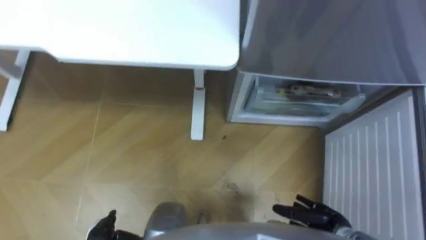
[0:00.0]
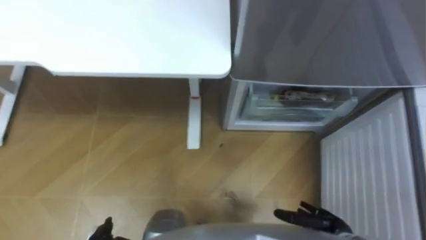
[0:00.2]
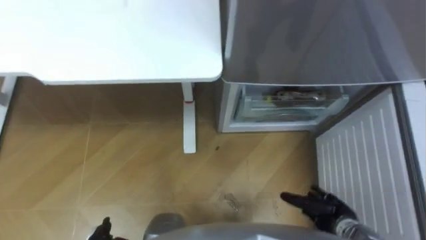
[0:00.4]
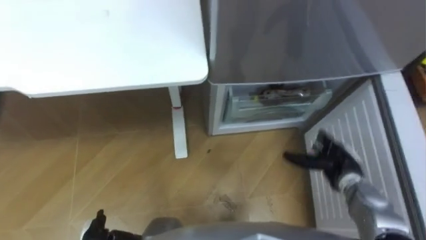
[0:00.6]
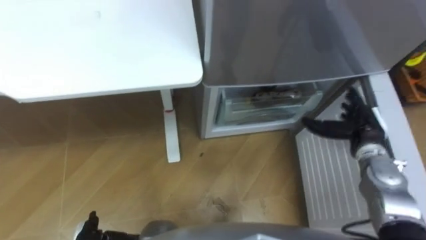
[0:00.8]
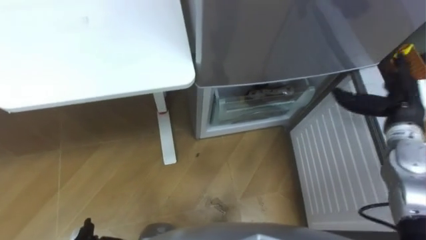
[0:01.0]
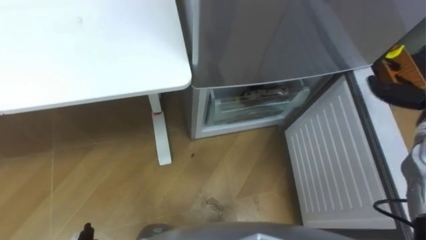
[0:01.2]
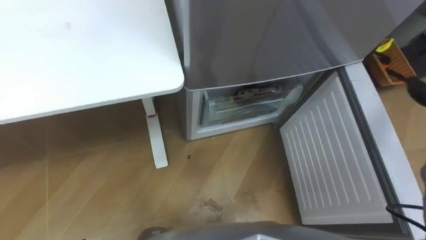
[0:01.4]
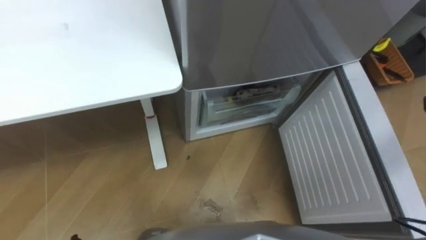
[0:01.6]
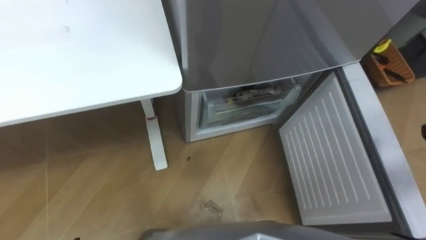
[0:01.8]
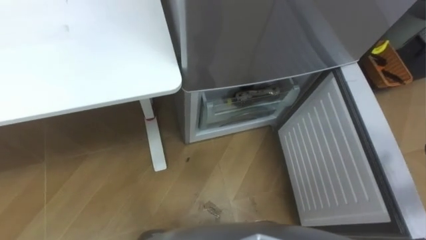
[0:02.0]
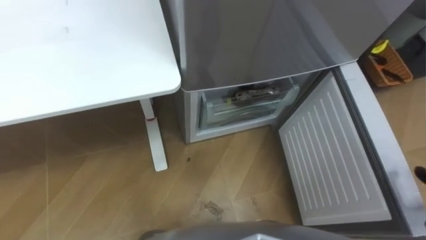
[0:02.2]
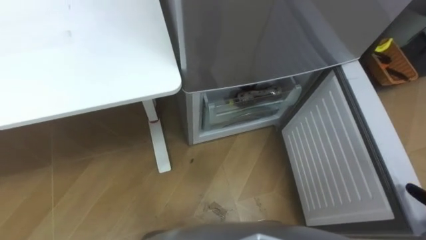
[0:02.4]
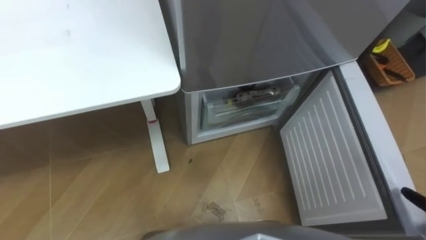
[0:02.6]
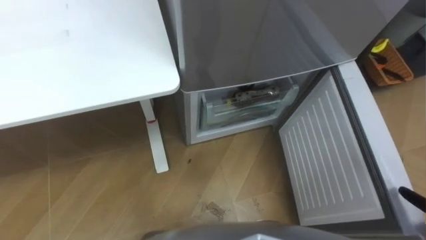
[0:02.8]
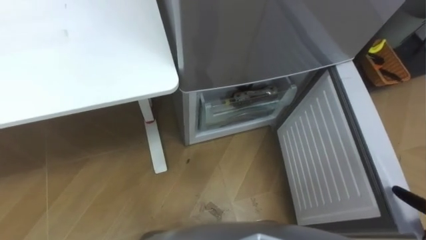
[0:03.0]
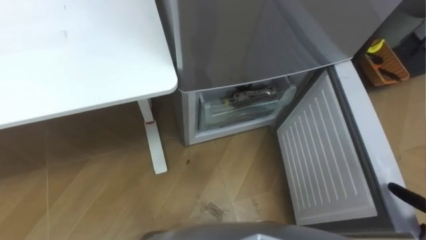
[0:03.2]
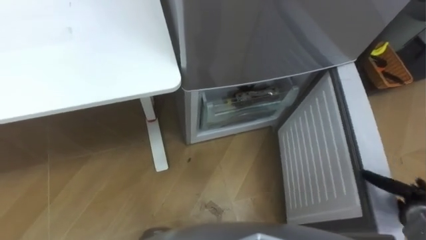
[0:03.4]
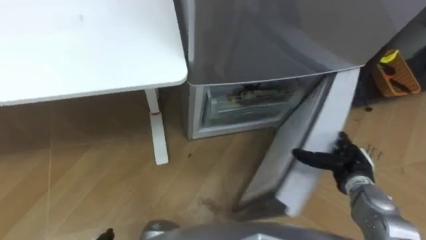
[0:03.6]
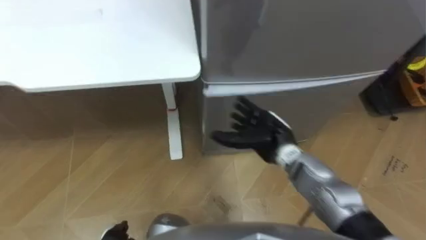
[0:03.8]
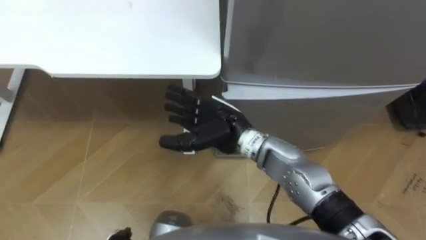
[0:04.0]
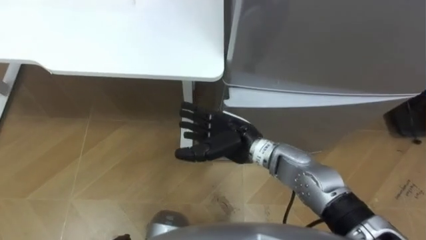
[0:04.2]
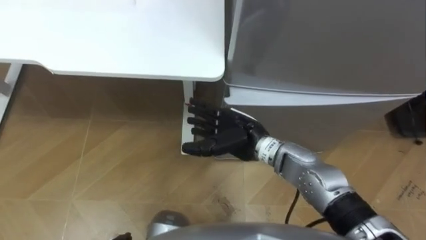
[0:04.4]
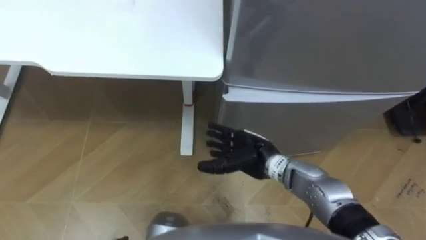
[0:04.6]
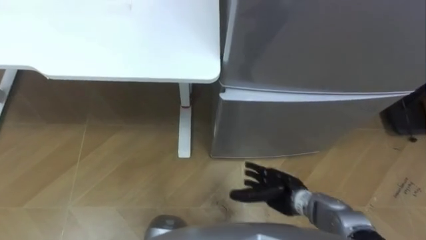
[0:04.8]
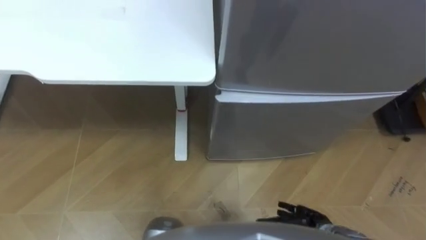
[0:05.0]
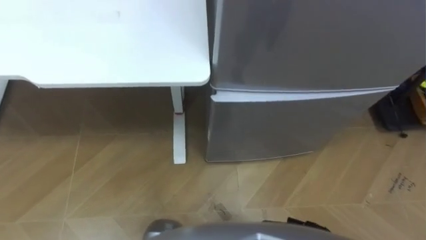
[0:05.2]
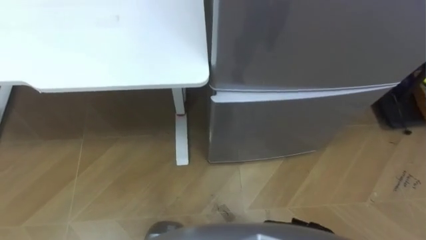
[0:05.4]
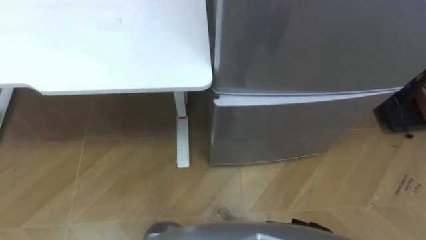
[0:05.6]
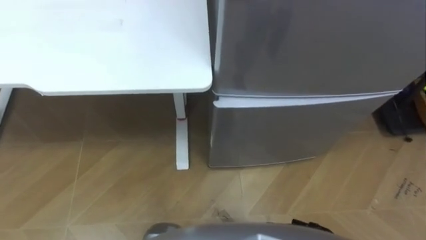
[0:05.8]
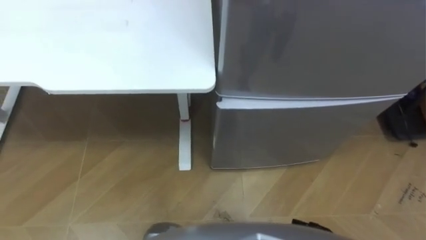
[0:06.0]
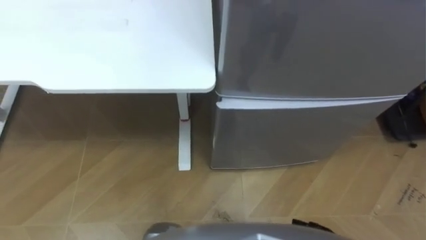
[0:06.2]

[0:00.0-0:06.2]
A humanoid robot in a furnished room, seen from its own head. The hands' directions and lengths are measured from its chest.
Task of the whole recording: Place the drink on the table on the bottom shelf of the refrigerator, then close the drawer and the refrigerator door.
0:03.2 to 0:04.6: The right hand travels to the left and forward by approximately 40 cm.

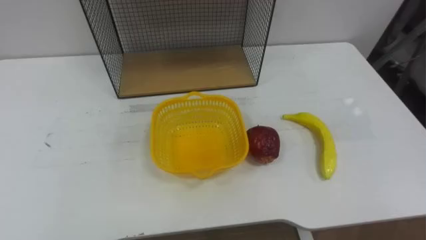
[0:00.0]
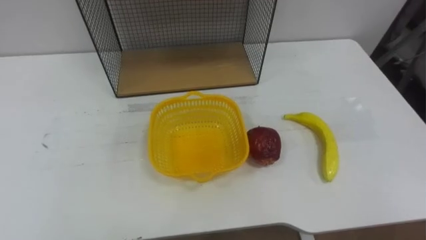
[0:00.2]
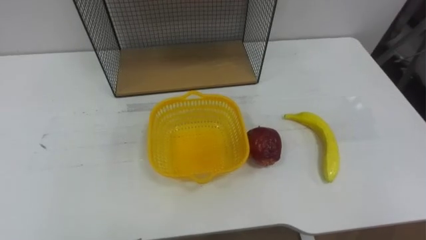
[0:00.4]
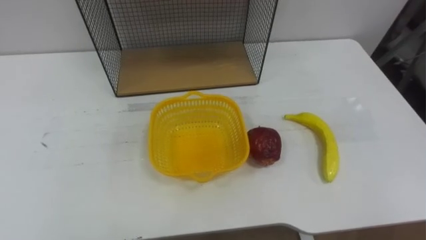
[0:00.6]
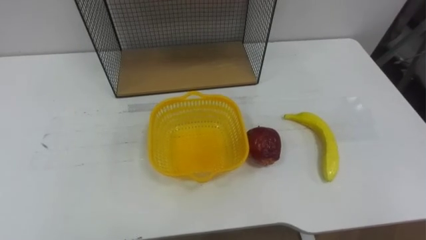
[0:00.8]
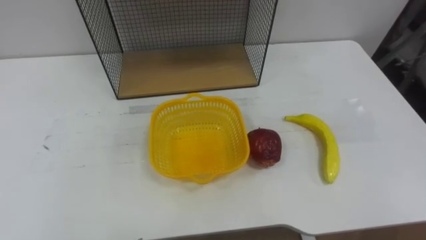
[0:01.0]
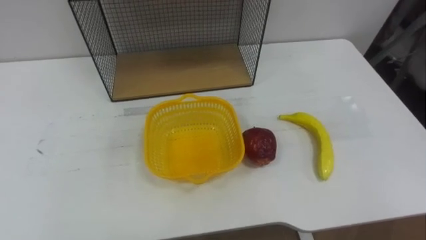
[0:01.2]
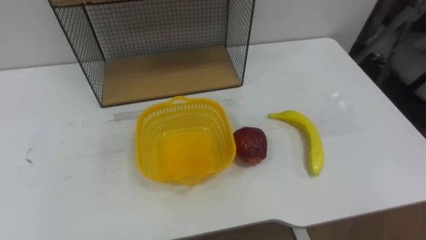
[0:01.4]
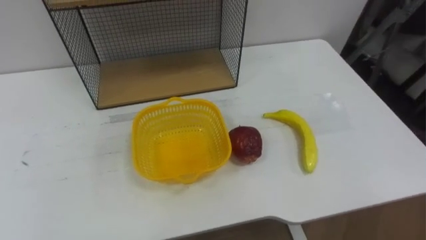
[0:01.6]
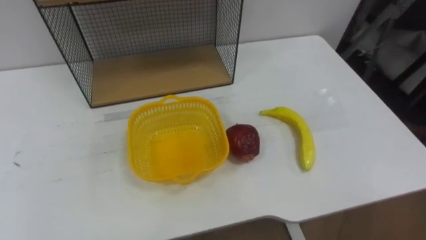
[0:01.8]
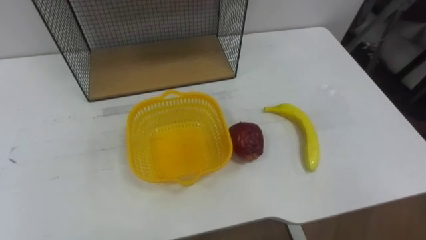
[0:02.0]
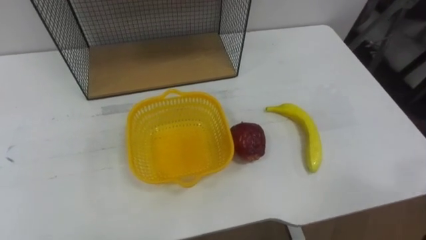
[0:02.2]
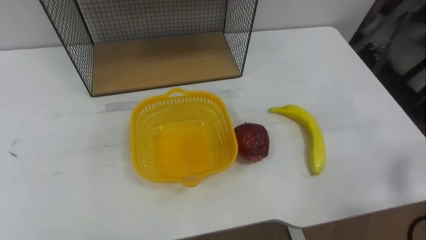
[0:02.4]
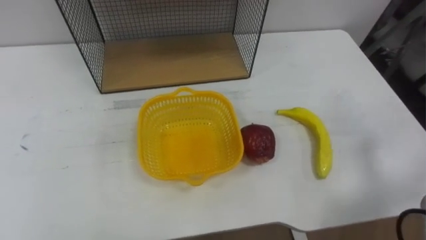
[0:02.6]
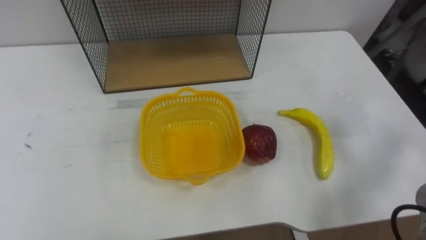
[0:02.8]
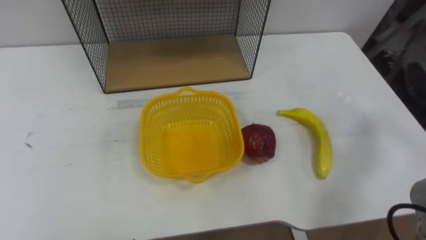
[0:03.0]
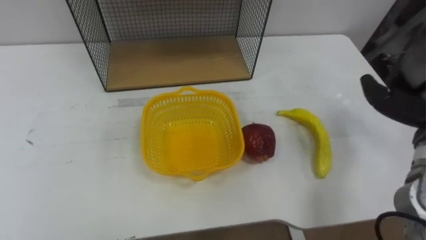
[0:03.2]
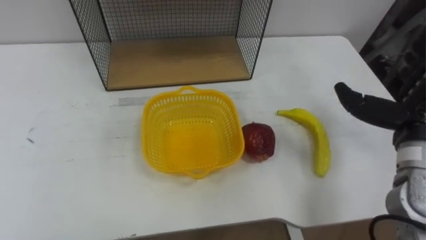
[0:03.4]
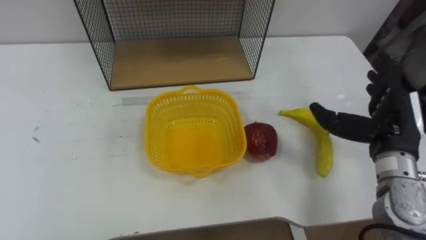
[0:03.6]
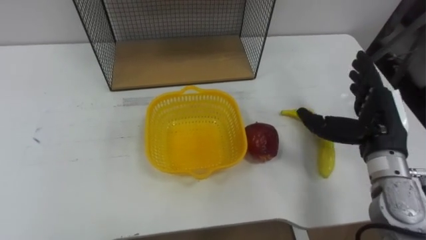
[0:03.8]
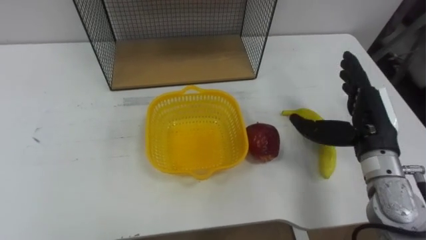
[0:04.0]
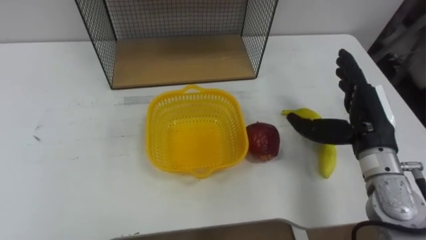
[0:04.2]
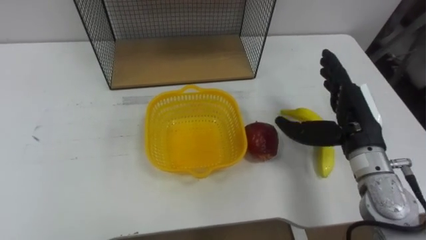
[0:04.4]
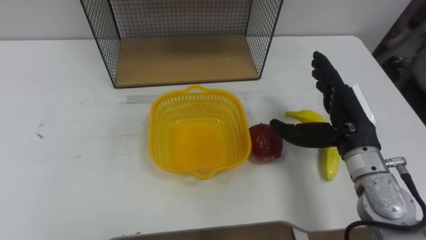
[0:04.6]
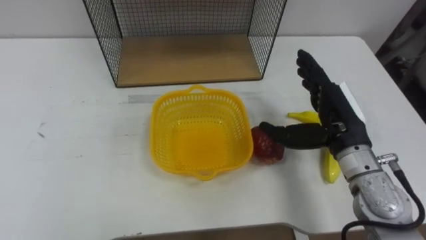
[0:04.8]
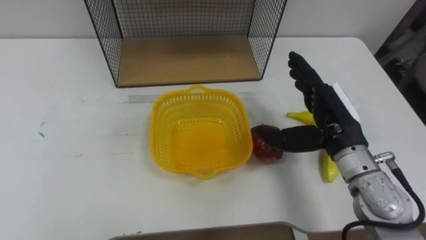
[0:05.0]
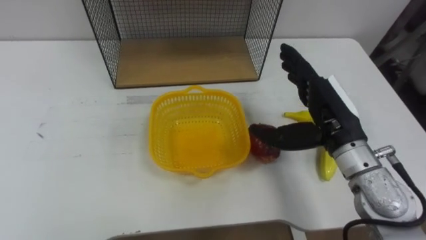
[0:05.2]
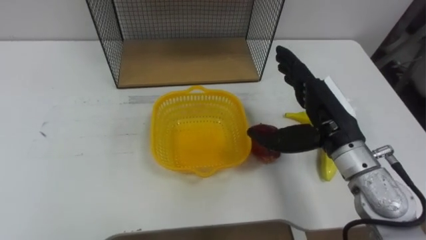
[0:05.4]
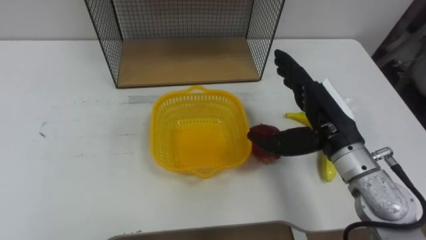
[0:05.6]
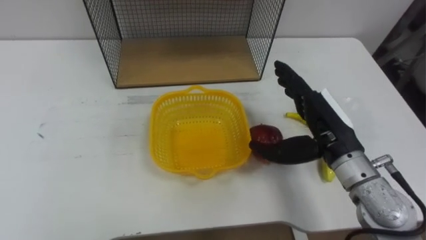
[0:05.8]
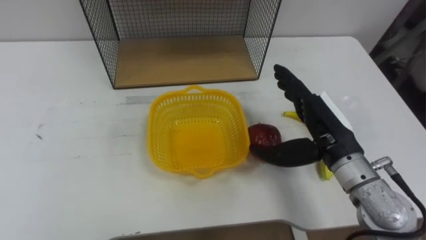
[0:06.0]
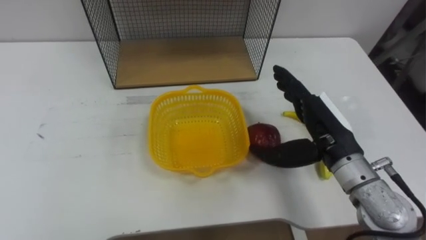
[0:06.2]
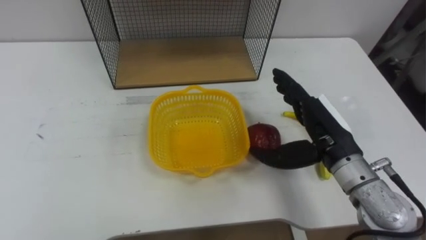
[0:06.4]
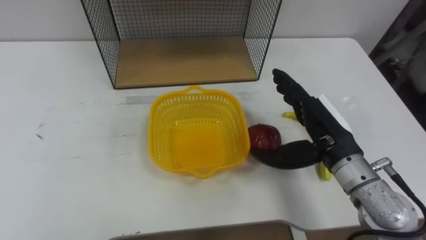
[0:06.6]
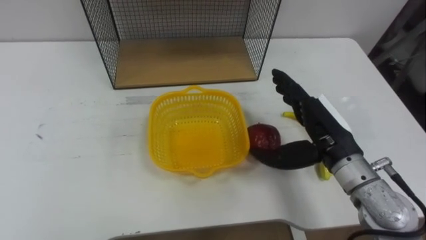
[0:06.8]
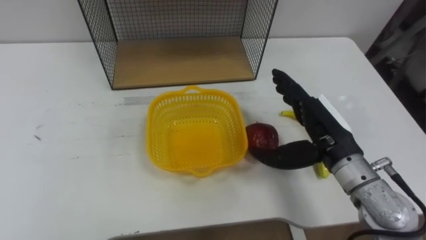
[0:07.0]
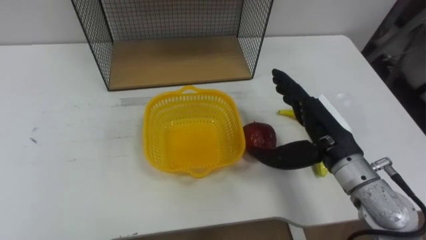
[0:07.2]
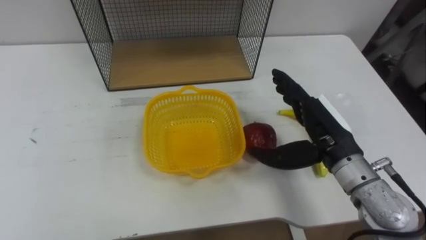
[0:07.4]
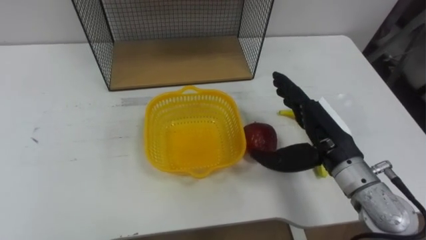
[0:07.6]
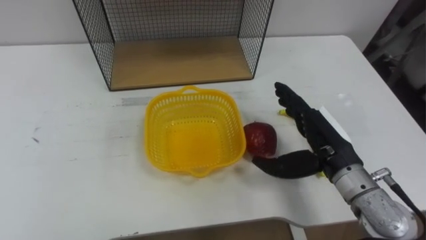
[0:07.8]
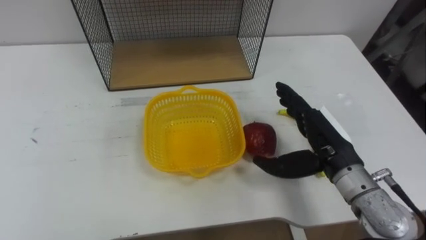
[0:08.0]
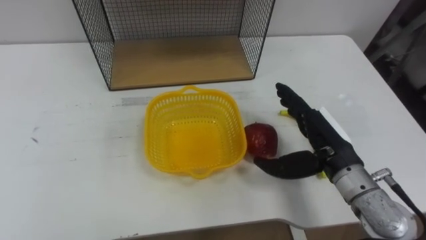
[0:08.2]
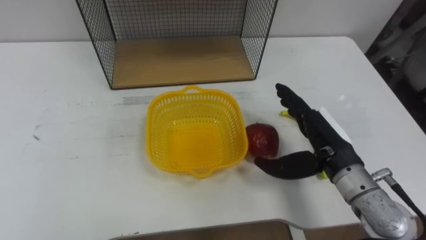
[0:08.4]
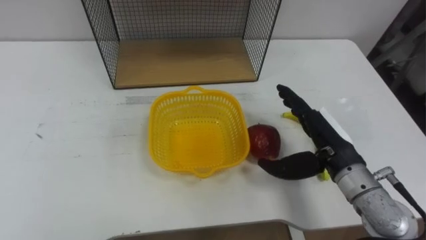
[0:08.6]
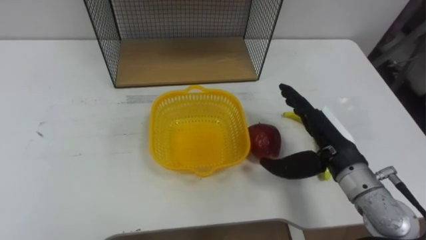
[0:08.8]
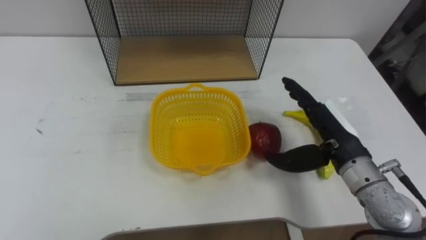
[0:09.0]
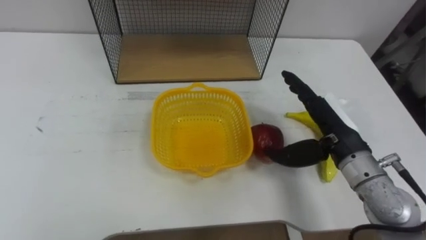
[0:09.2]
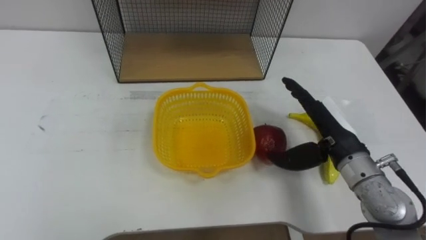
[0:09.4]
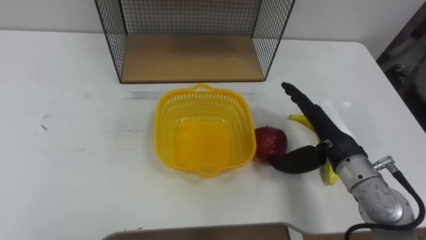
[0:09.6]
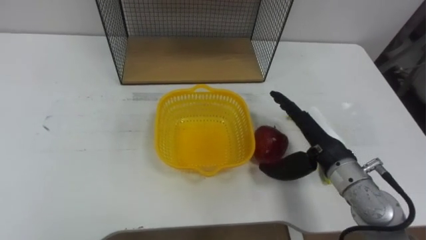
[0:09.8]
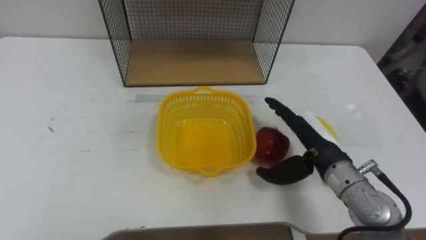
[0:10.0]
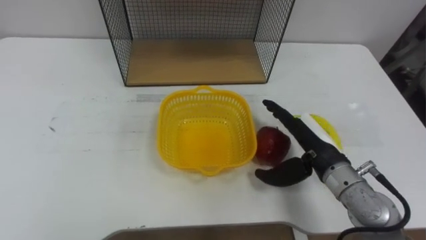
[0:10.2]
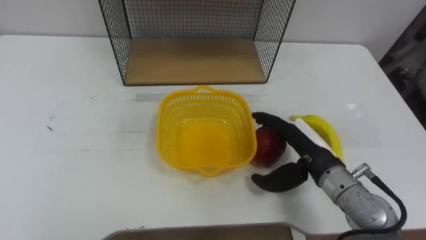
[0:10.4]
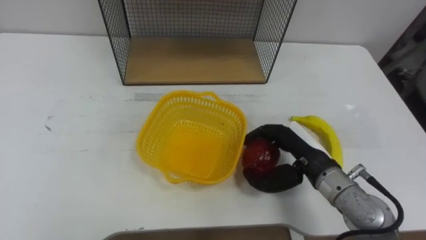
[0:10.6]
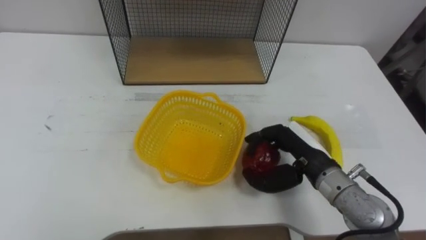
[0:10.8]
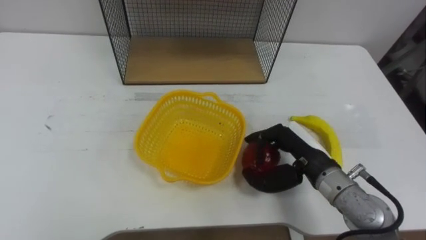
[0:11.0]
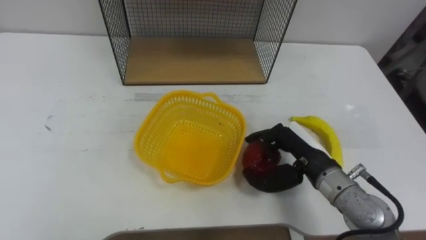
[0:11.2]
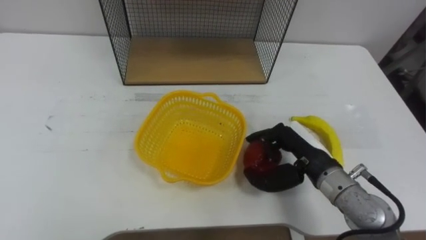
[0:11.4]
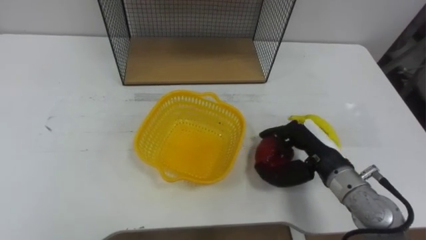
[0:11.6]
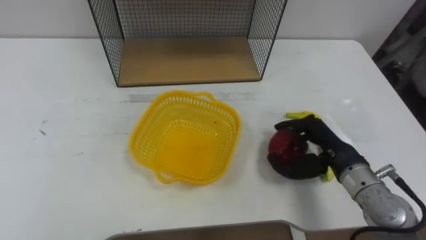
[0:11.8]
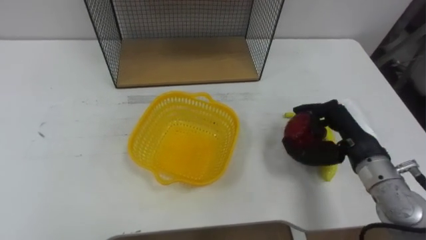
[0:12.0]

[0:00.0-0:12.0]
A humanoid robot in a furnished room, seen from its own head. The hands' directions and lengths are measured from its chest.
Task of the whole recording: Put the fruit on the table into the basket, then place the basket on the shelf.
0:04.4 to 0:06.0: The right hand goes about 5 cm to the left.
0:10.4 to 0:12.0: The right hand travels to the right by roughly 5 cm, and closes its fingers.
